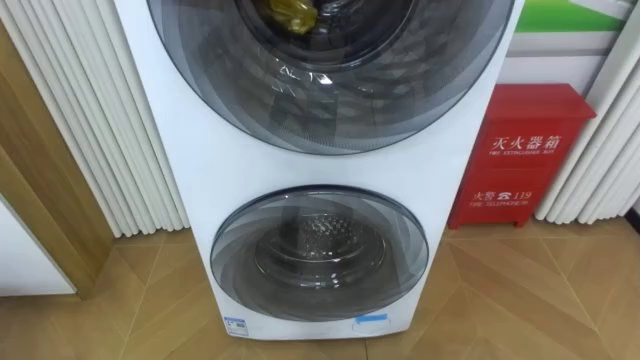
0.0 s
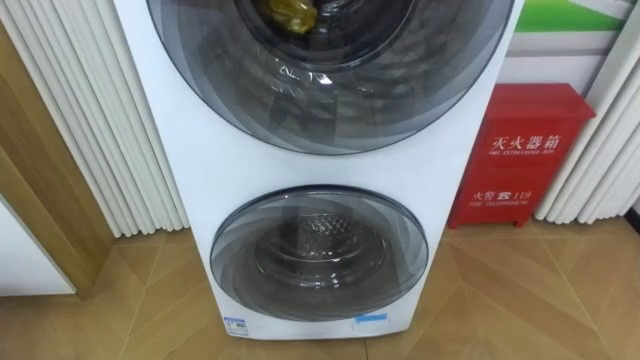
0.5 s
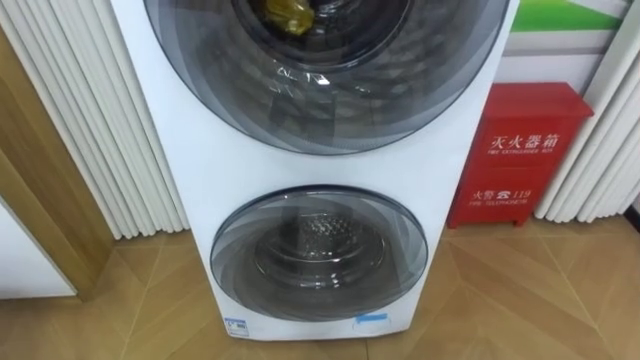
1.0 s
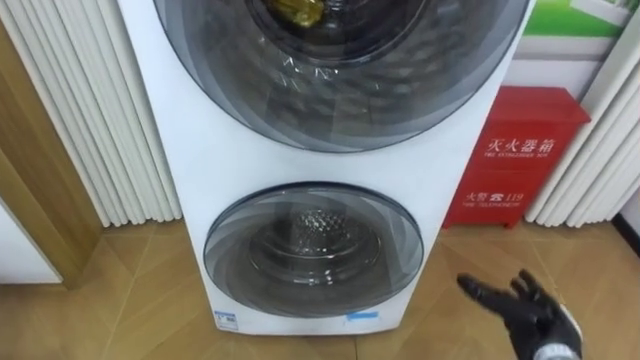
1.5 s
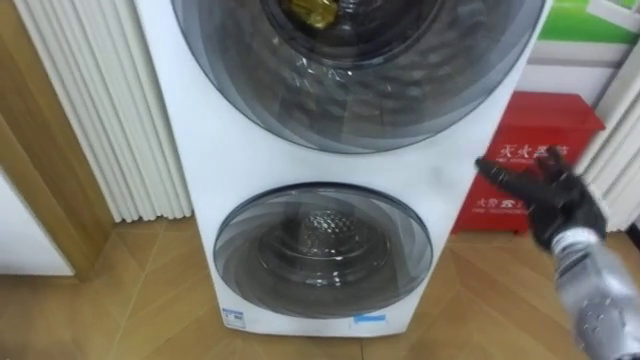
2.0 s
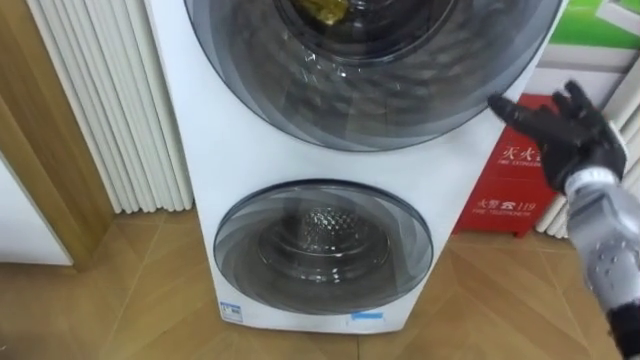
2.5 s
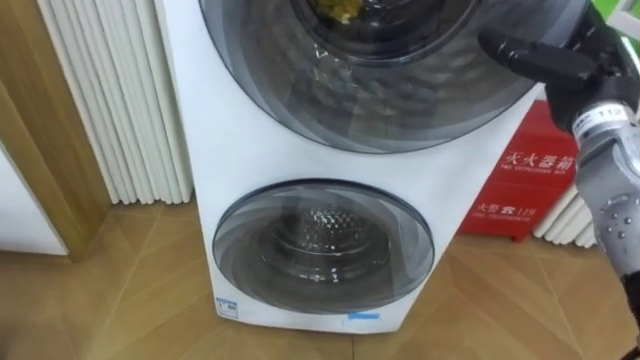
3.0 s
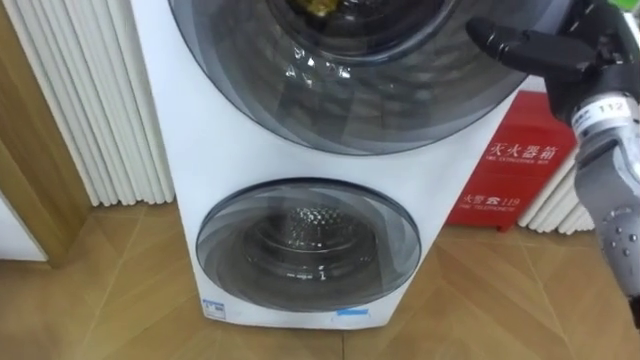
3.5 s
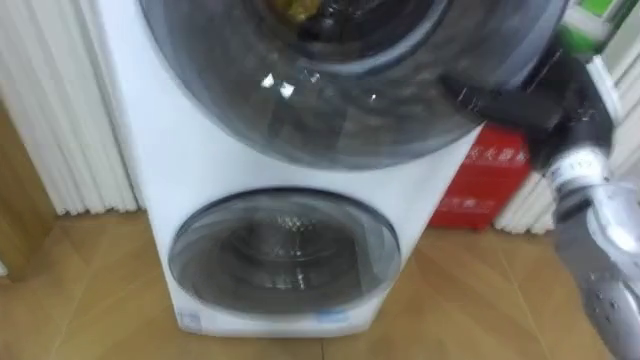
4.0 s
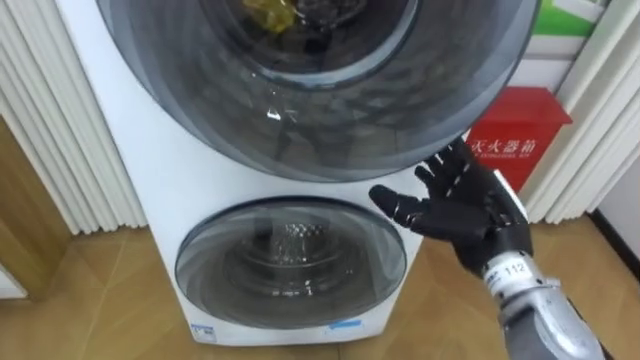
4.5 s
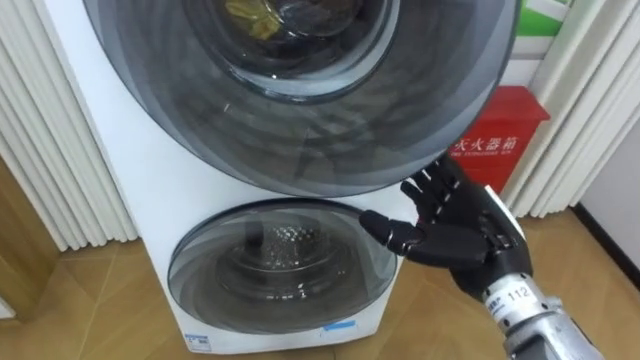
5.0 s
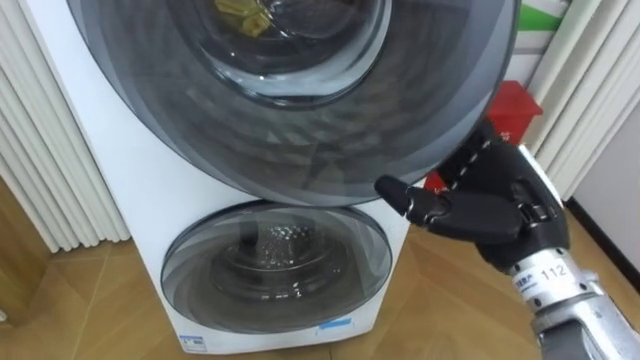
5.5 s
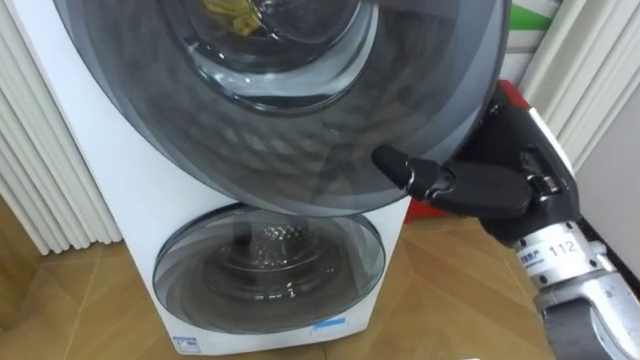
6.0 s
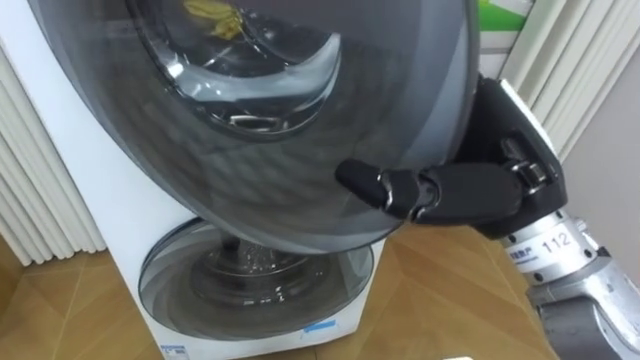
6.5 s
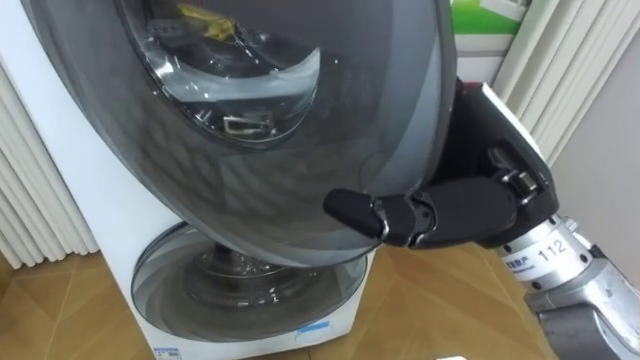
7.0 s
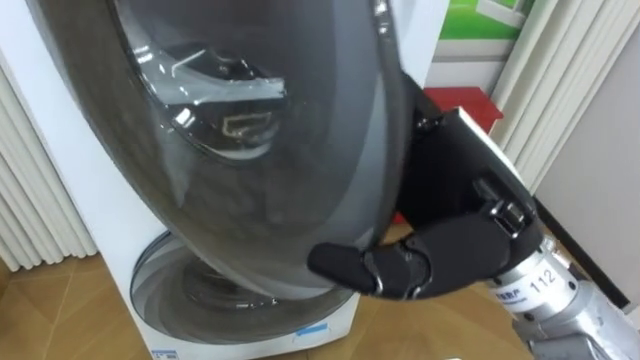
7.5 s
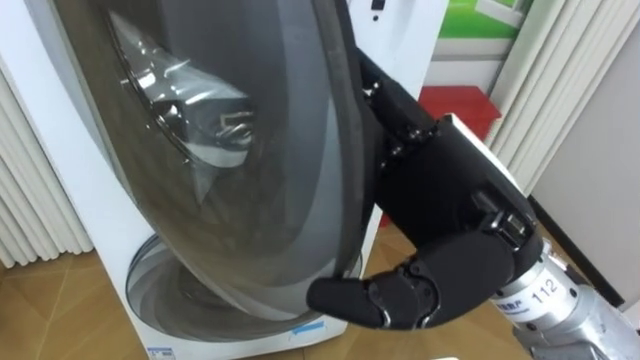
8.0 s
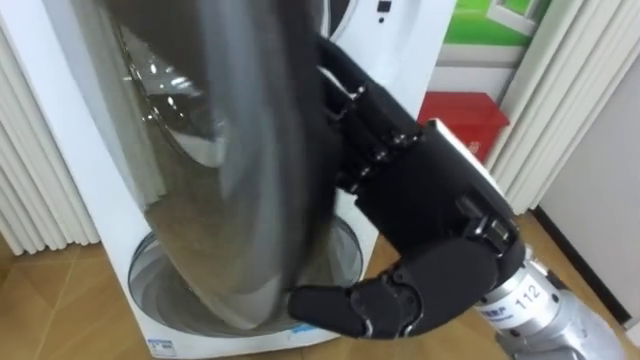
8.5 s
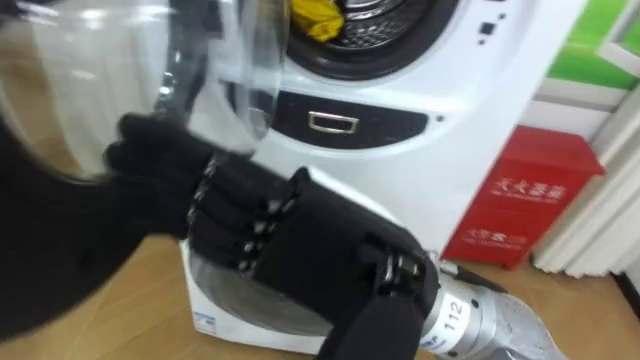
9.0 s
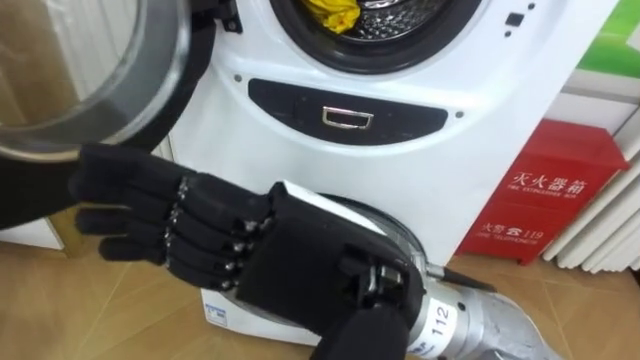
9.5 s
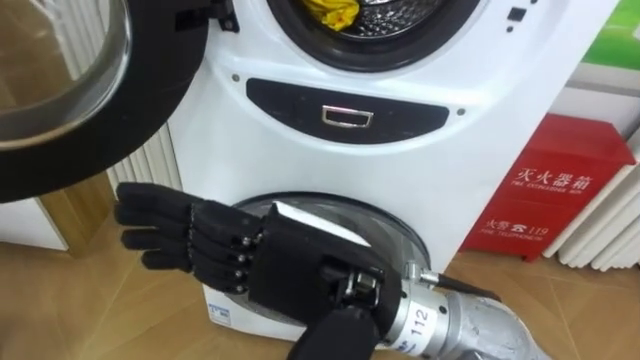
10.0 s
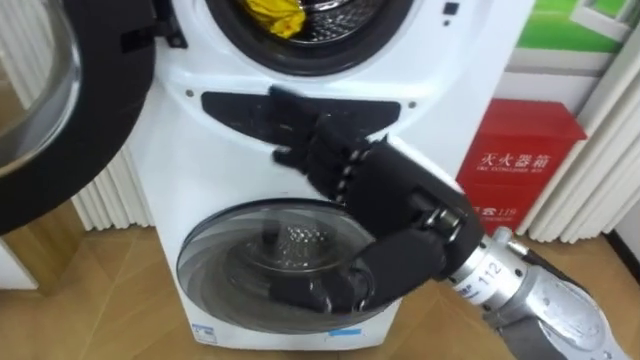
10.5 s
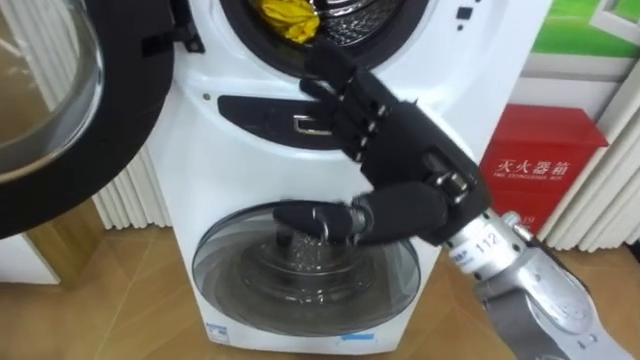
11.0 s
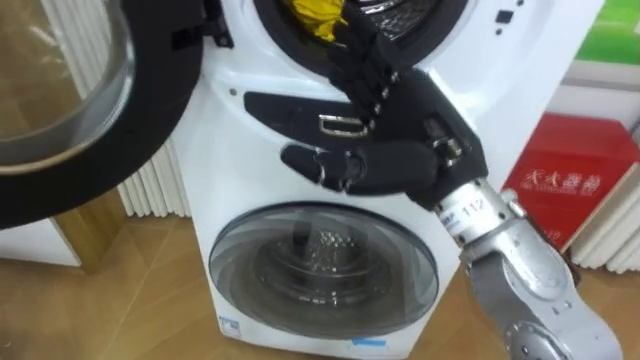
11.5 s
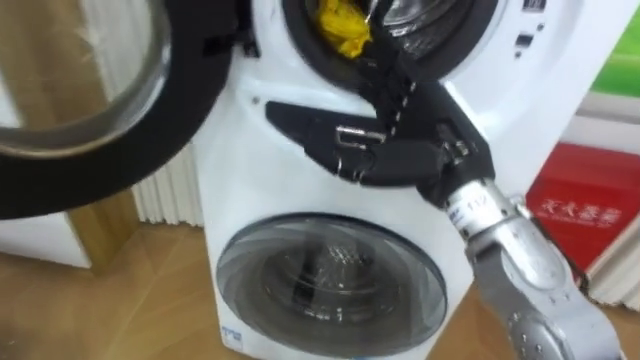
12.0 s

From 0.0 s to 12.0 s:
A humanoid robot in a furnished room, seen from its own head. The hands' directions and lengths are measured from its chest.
Task of the whole recording: Open the washing machine door, take out the yellow clothes, place them in the box on the right, and close the washing machine door.
From 2.0 s to 4.0 s: The right hand heads upward, covering roughly 15 cm.
From 4.0 s to 6.0 s: The right hand travels backward and to the left by about 10 cm, and moves roughly 10 cm downward and comes back.
From 6.0 s to 8.0 s: The right hand travels to the left and backward by some 10 cm.
From 8.0 s to 10.0 s: The right hand heads to the left, covering approximately 10 cm.
From 10.0 s to 12.0 s: The right hand goes about 15 cm forward and to the right.

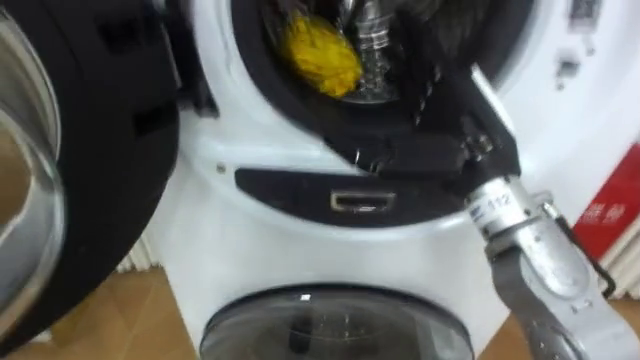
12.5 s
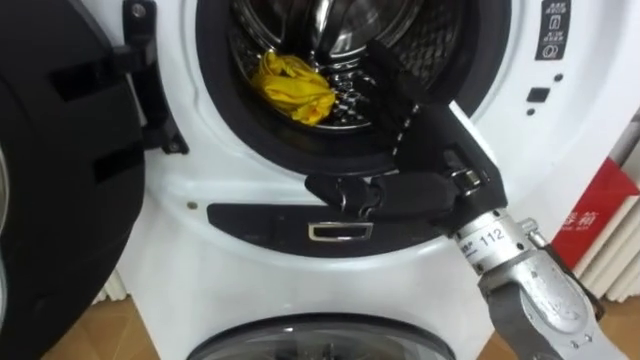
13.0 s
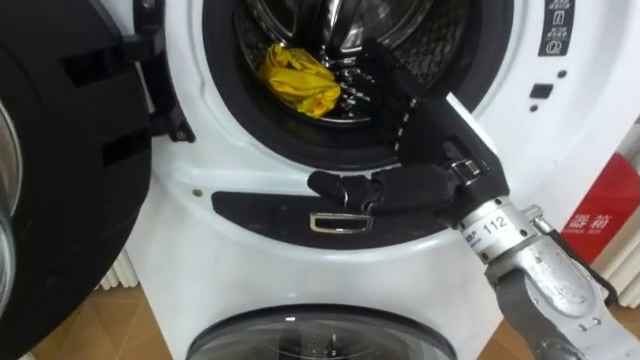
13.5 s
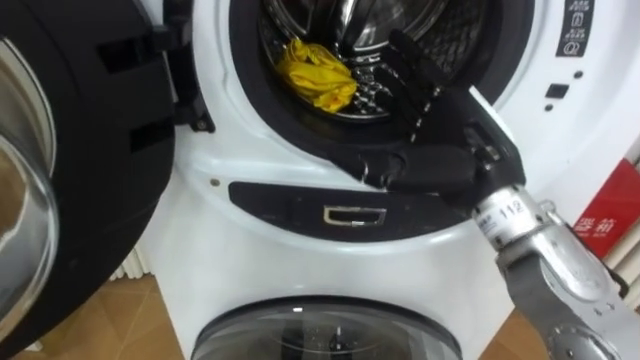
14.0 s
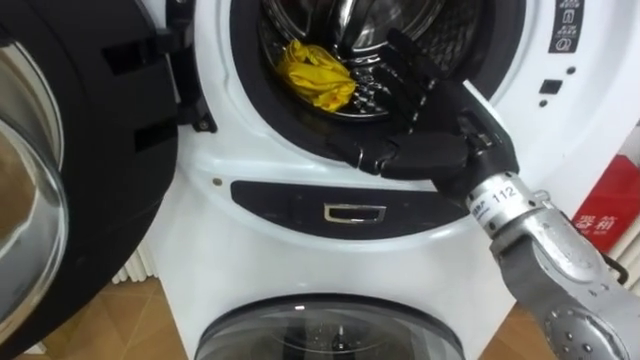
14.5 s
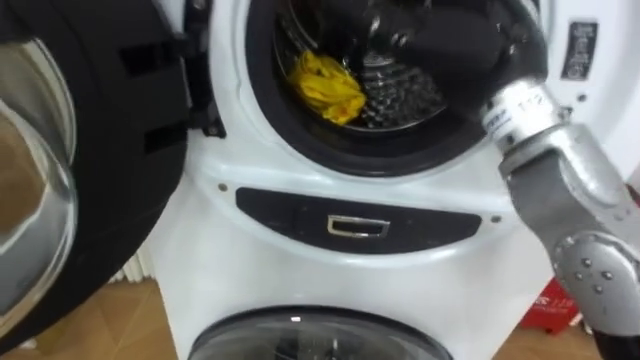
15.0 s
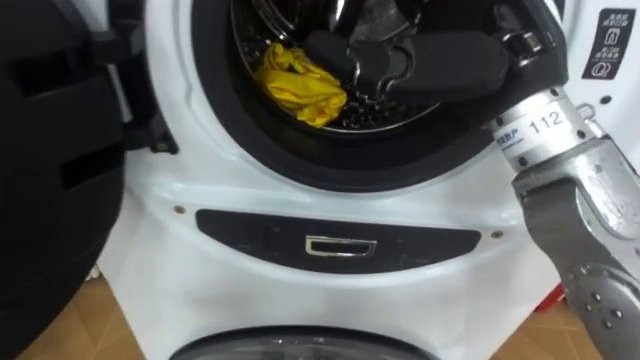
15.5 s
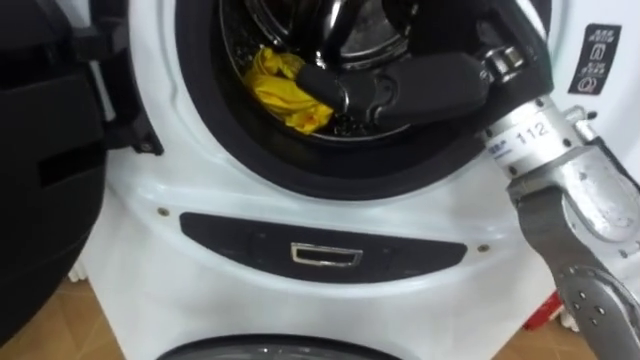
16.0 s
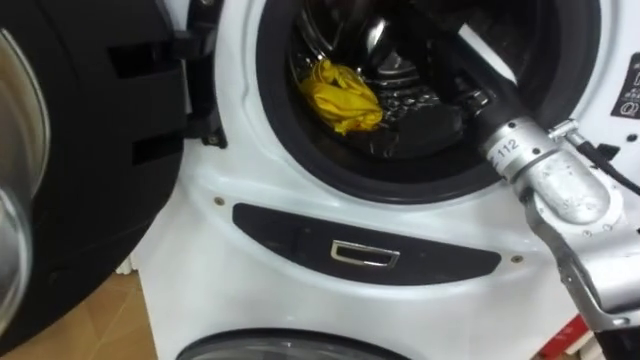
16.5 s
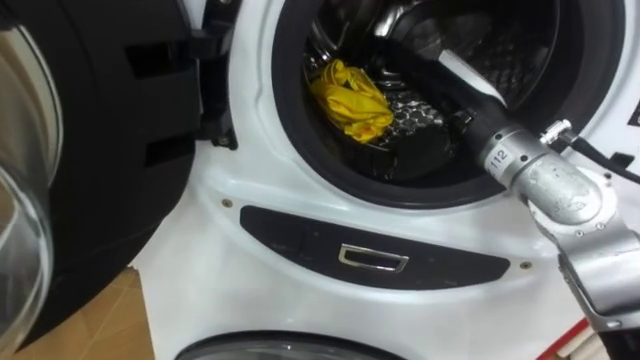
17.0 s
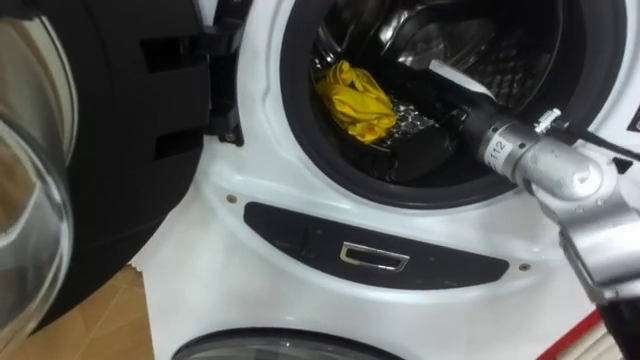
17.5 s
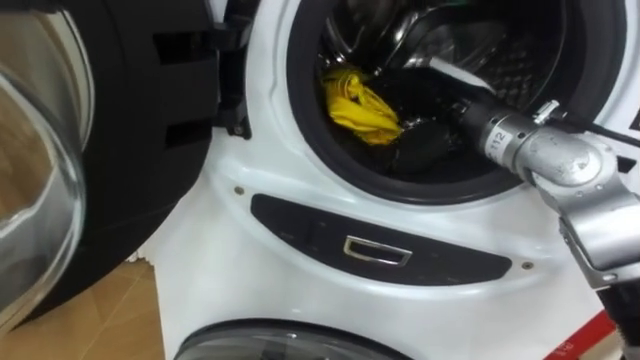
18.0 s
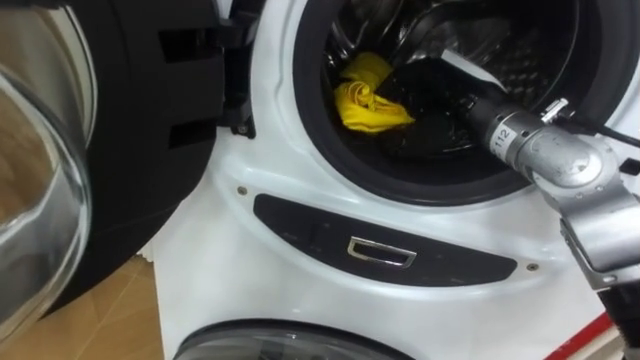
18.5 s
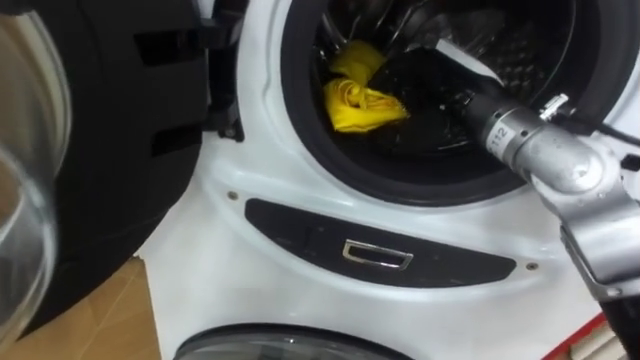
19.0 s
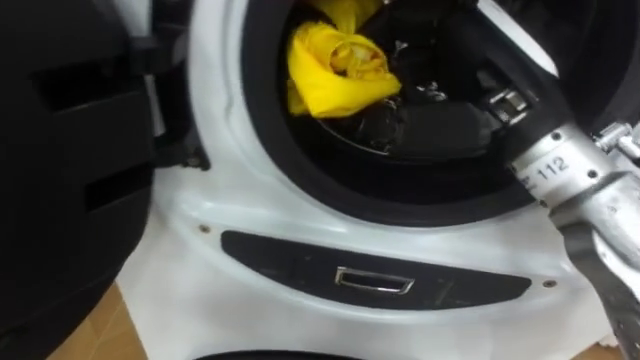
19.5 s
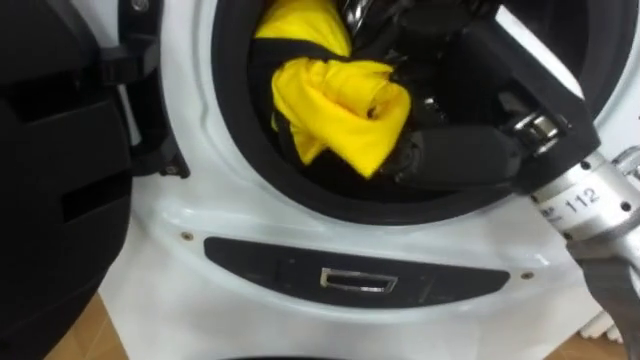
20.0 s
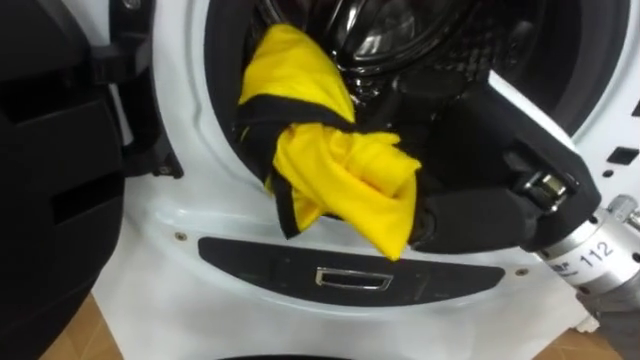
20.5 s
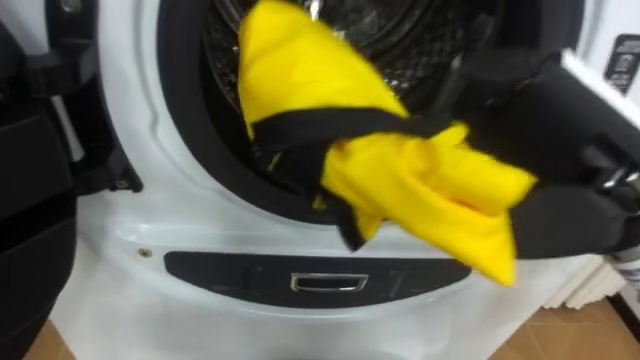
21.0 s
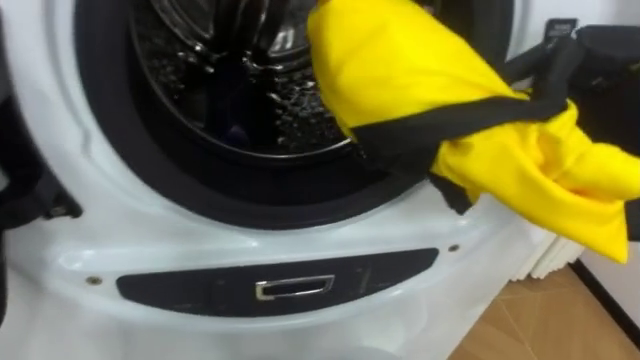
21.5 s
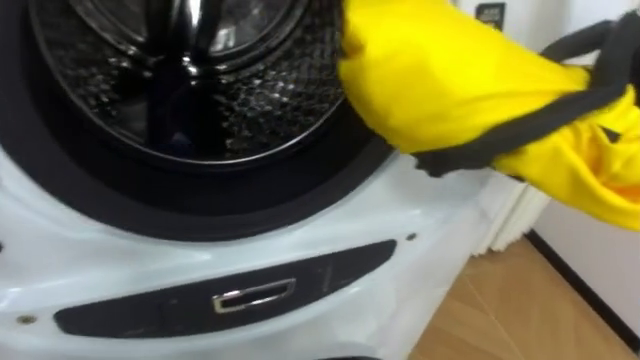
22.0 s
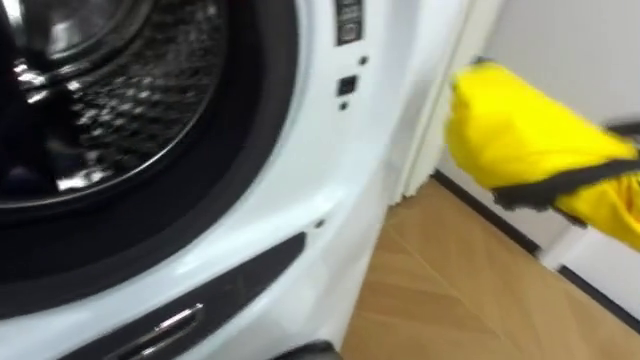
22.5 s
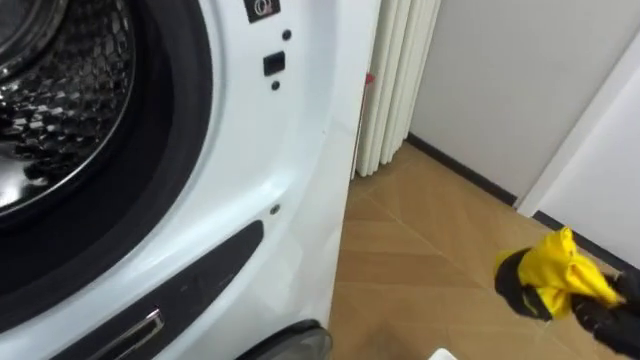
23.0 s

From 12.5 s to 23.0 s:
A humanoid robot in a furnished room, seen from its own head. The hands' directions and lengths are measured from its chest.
Task of the whole recording: Open the washing machine door, take out the yellow clothes, place them in the box on the right, and close the washing machine door.
From 14.5 s to 16.5 s: The right hand goes upward and returns, approximately 10 cm each way.
From 16.5 s to 19.0 s: The right hand closes up.
From 19.0 s to 21.0 s: The right hand moves backward, some 15 cm.
